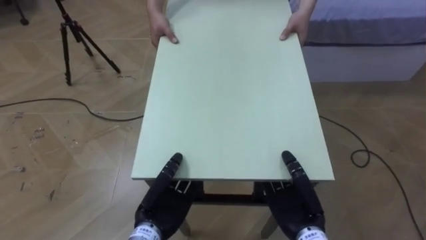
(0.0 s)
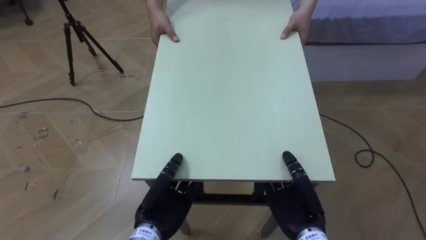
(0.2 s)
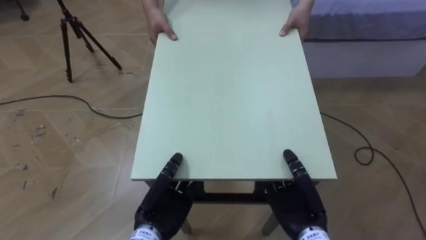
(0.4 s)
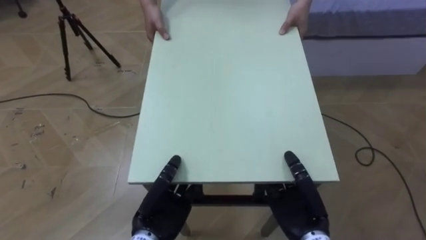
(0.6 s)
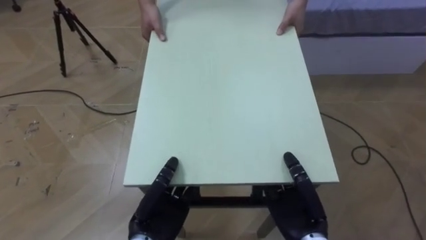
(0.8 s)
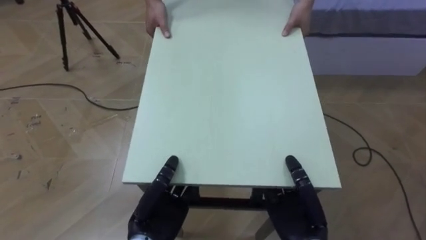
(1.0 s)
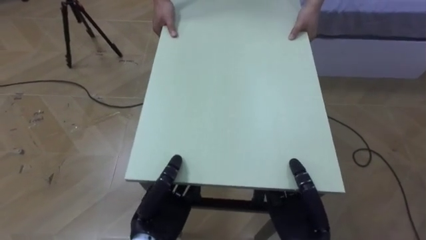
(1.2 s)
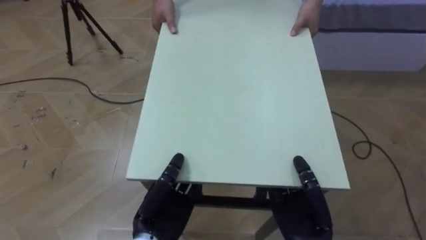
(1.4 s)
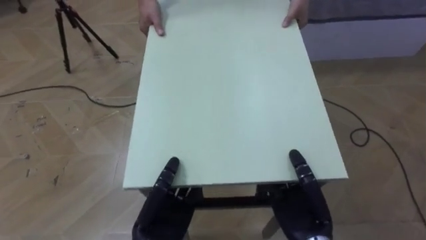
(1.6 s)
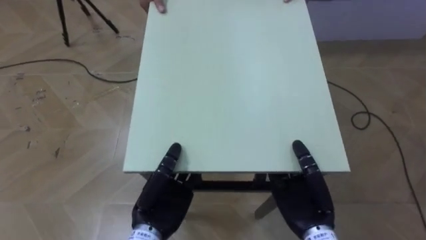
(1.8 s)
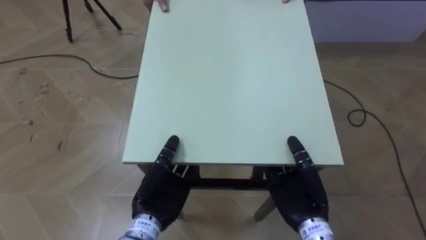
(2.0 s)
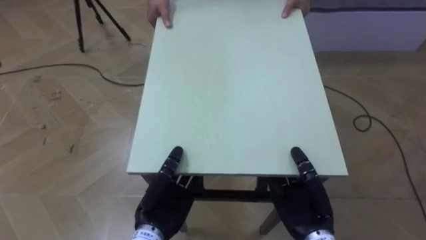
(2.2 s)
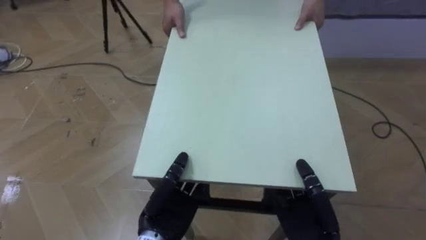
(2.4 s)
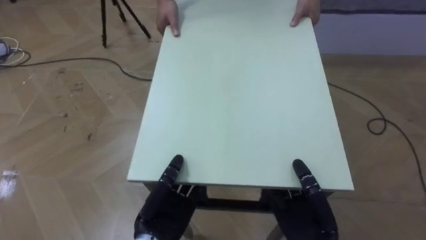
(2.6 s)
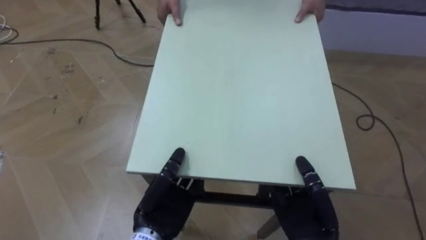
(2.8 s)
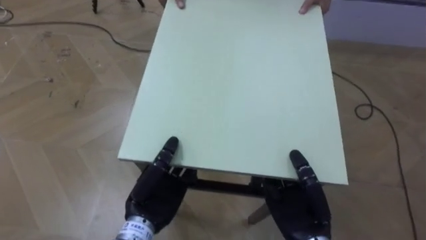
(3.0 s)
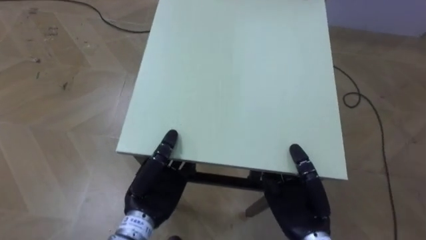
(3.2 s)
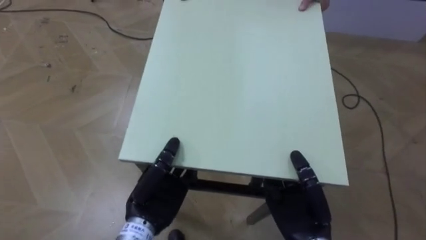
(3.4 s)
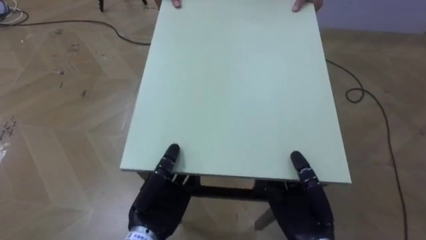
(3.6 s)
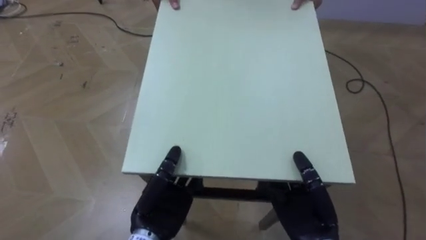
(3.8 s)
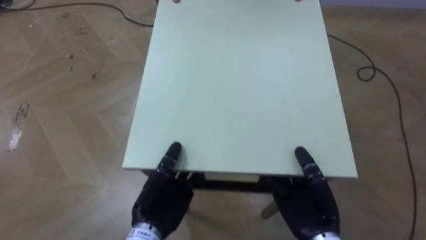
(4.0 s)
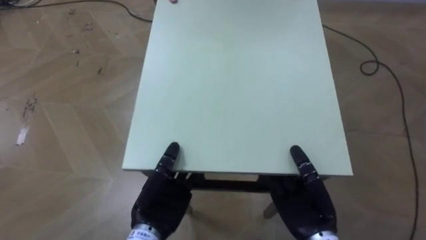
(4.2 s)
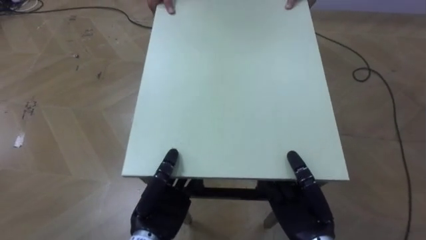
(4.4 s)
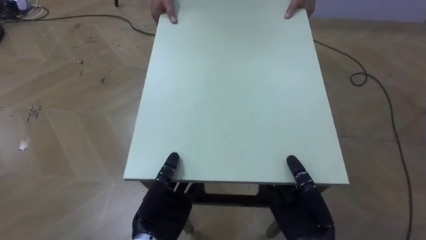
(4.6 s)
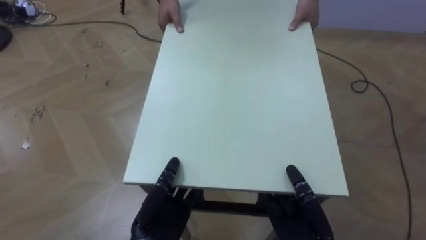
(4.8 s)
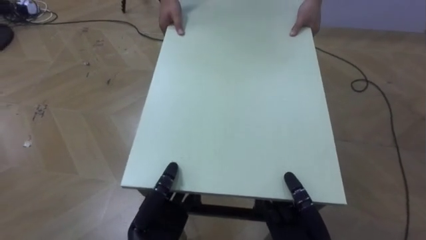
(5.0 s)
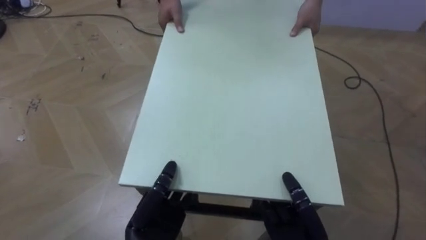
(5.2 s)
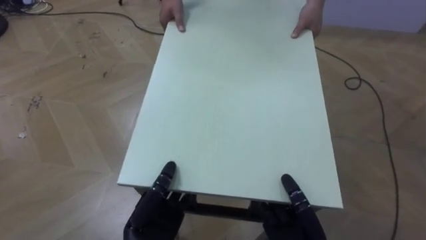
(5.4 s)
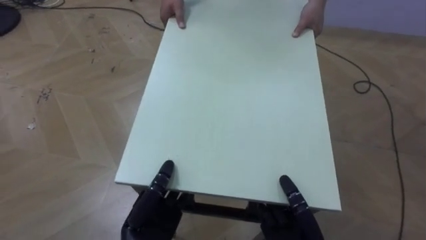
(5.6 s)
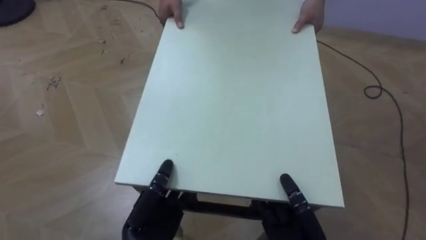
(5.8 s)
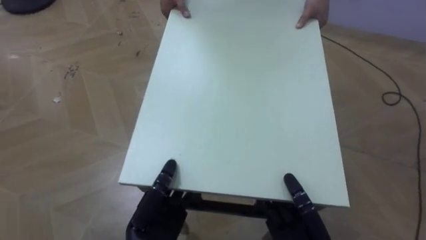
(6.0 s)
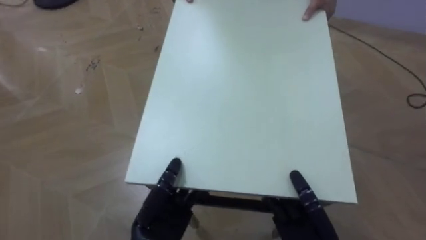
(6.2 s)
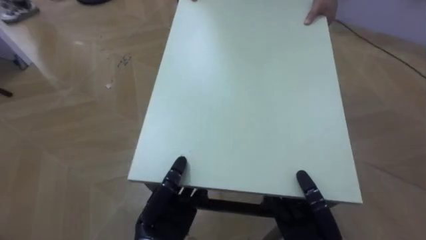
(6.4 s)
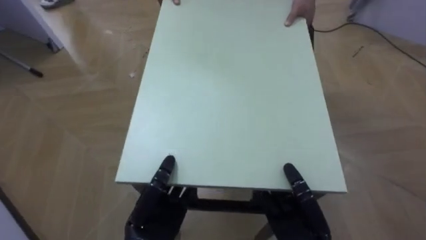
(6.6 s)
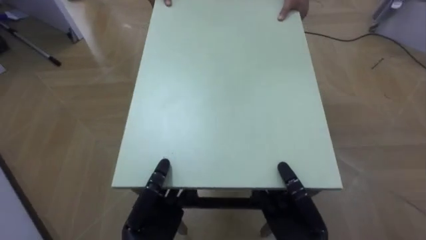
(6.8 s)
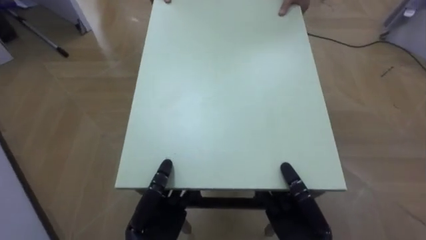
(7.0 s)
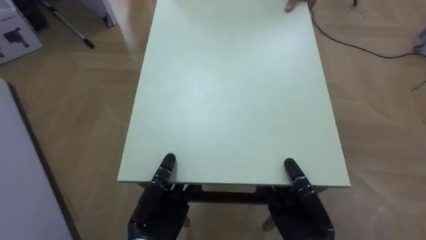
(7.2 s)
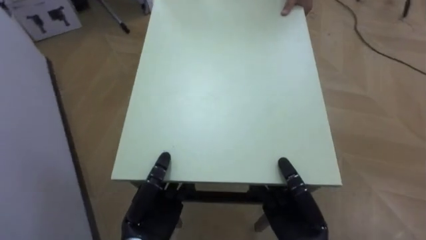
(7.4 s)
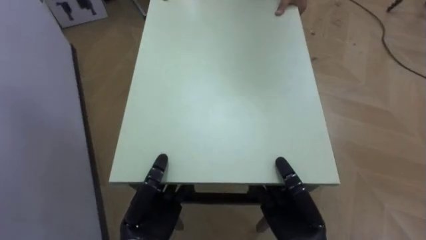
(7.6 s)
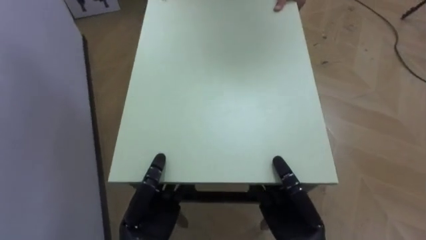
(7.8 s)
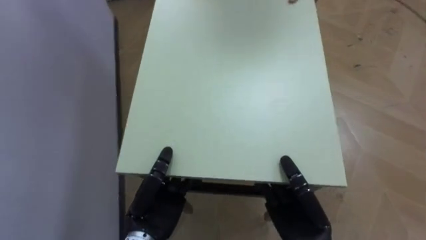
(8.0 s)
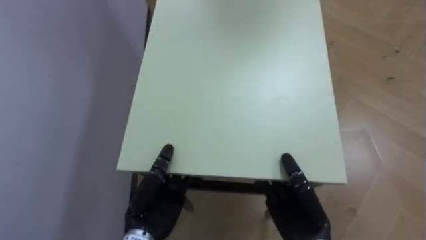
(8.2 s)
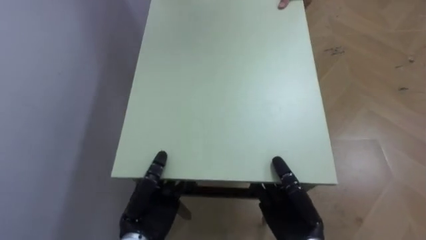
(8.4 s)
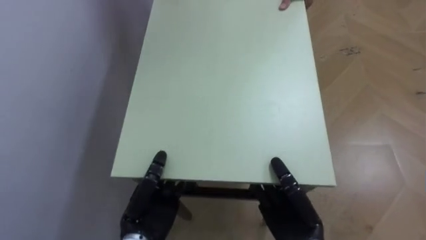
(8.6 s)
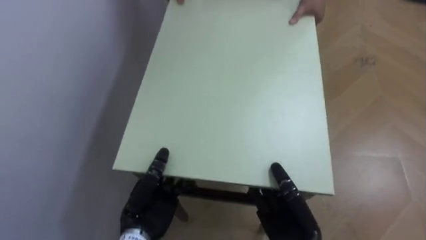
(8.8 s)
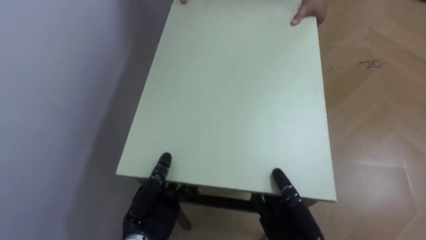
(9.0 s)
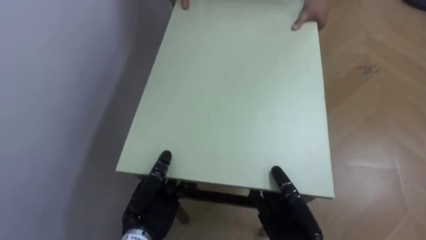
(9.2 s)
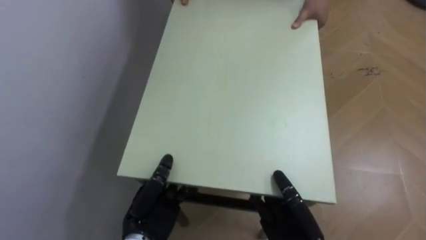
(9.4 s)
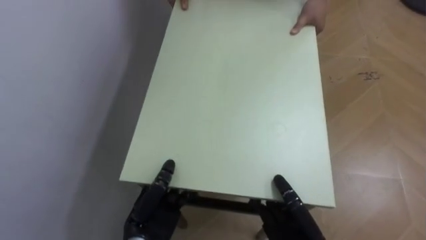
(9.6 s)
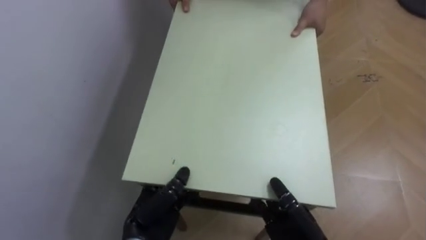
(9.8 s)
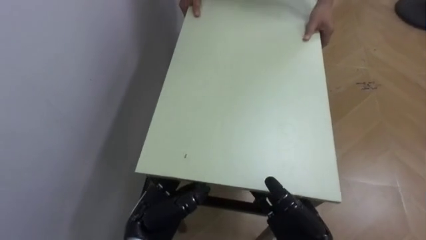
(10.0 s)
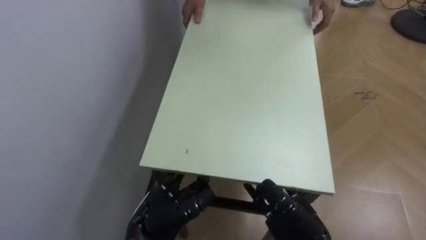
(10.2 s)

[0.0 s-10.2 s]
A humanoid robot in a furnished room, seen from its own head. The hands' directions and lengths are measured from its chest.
Task of the whole recording: Move the table to the back left with someone.
5.8 to 7.2 s: The robot rotates roughly 40 degrees to its left.
7.2 to 8.8 s: The robot turns to its left by some 40 degrees.
8.8 to 10.2 s: The left hand opens. Meanwhile the right hand opens up.
